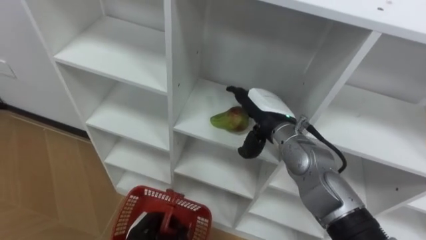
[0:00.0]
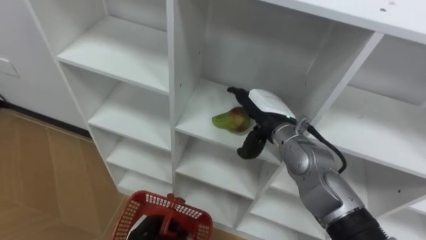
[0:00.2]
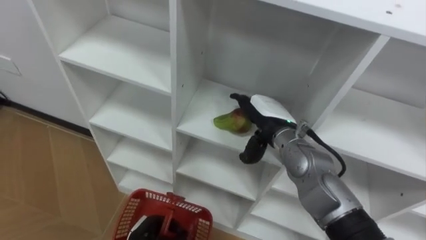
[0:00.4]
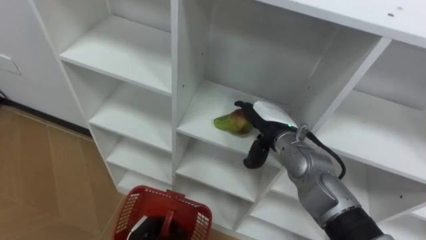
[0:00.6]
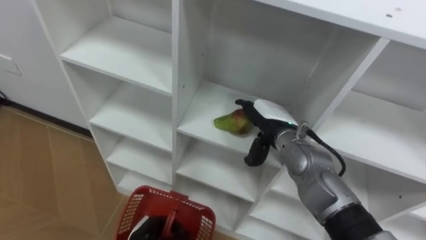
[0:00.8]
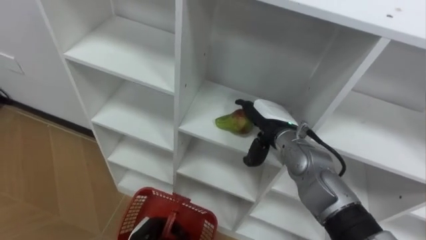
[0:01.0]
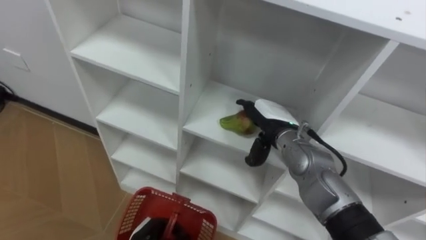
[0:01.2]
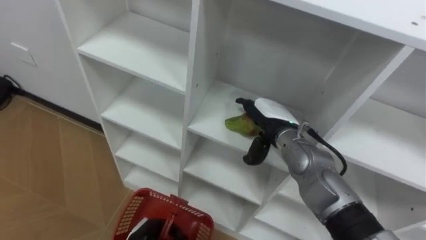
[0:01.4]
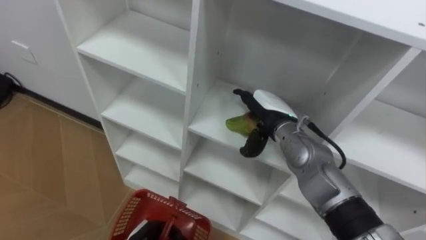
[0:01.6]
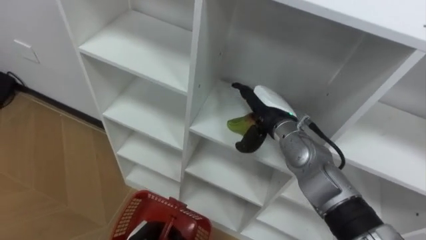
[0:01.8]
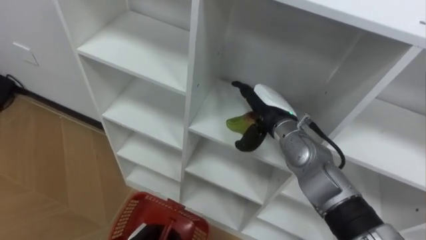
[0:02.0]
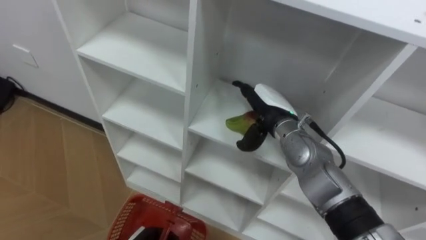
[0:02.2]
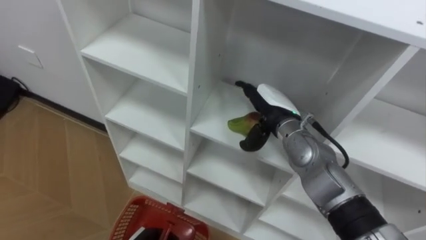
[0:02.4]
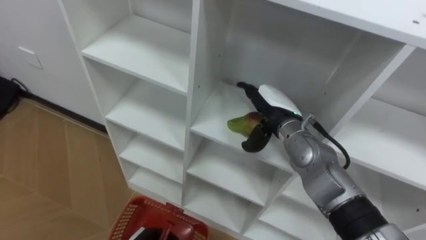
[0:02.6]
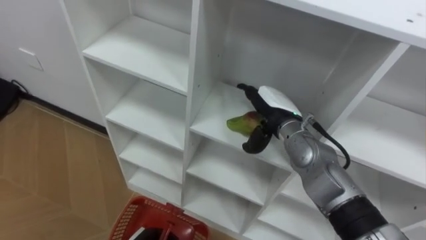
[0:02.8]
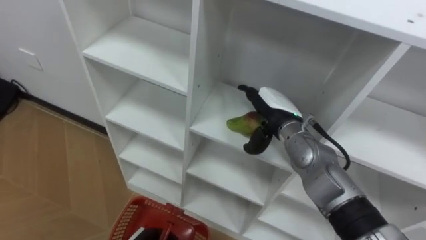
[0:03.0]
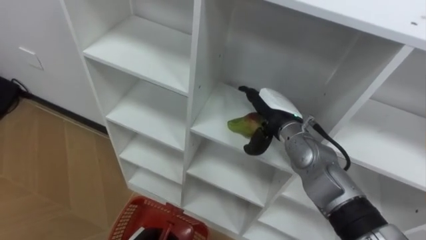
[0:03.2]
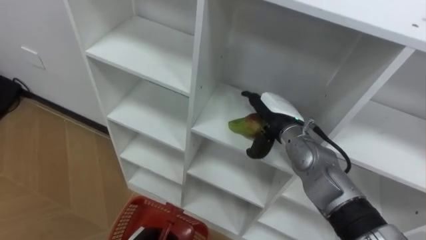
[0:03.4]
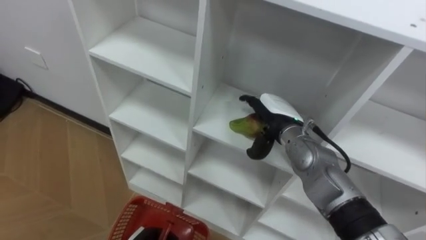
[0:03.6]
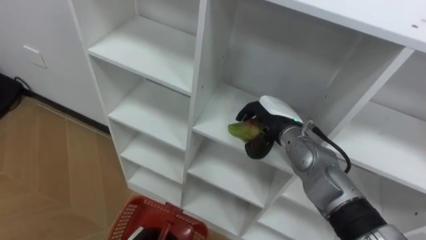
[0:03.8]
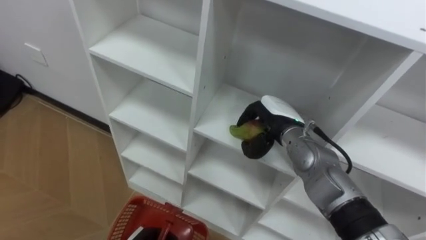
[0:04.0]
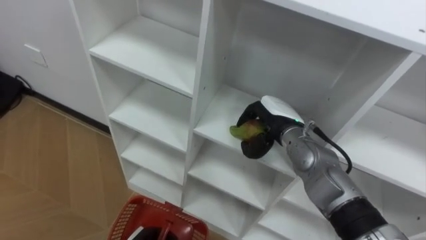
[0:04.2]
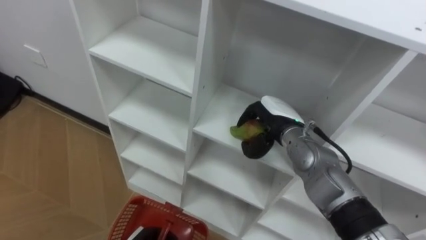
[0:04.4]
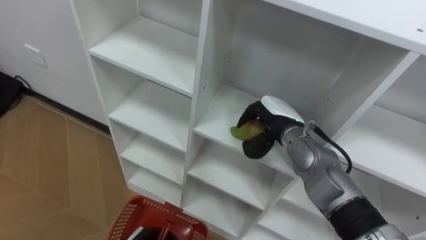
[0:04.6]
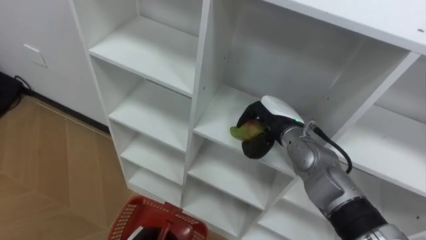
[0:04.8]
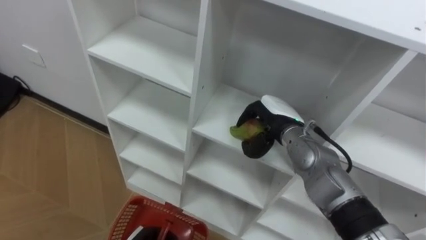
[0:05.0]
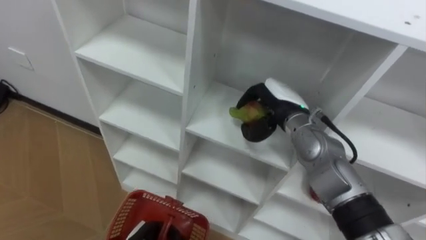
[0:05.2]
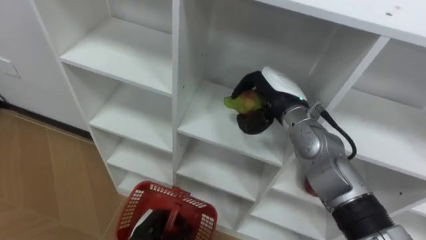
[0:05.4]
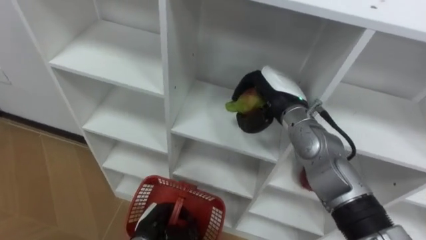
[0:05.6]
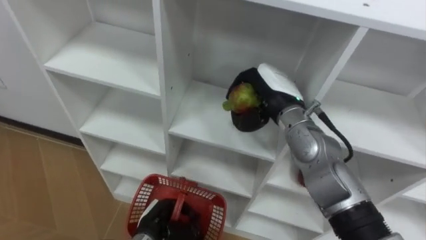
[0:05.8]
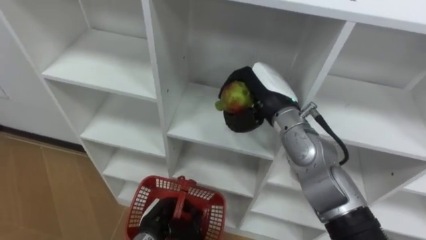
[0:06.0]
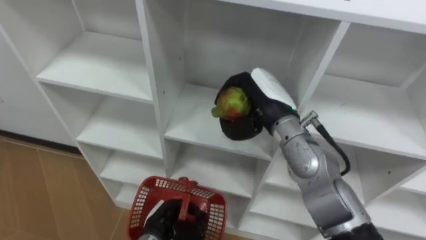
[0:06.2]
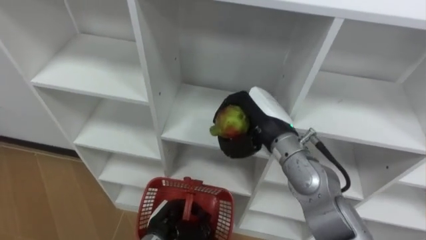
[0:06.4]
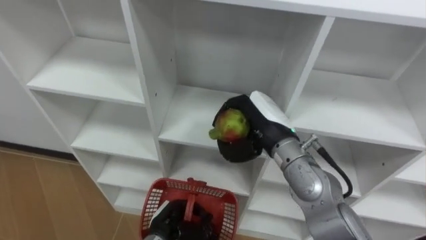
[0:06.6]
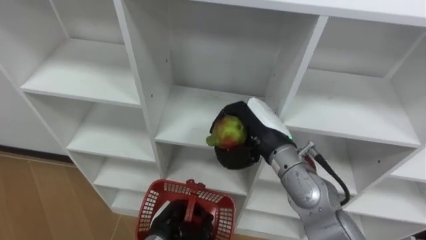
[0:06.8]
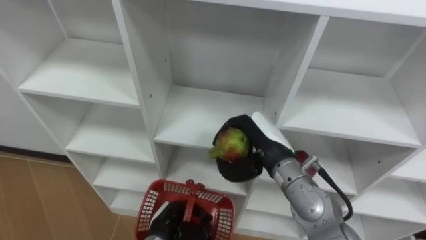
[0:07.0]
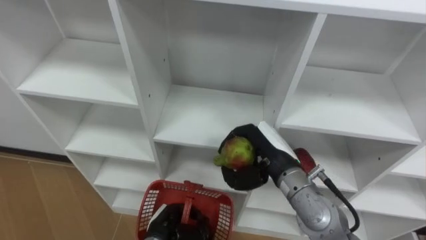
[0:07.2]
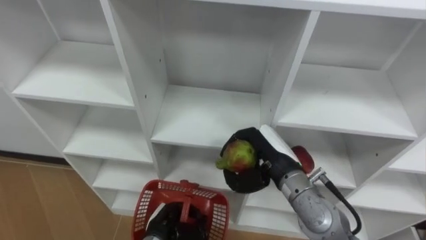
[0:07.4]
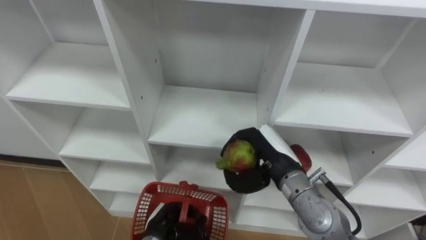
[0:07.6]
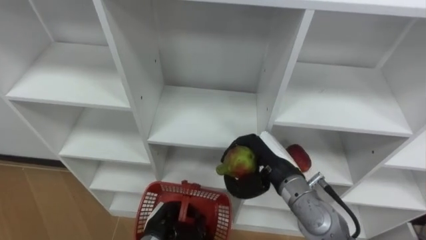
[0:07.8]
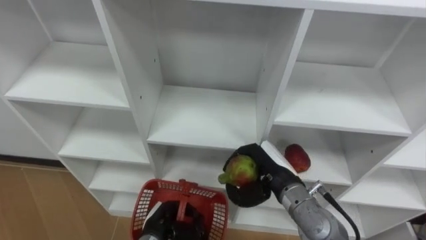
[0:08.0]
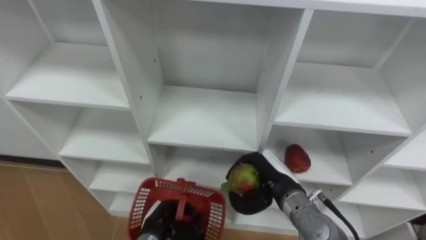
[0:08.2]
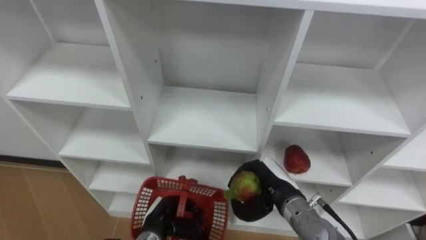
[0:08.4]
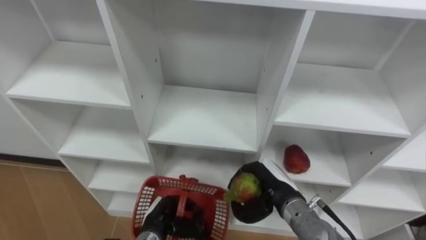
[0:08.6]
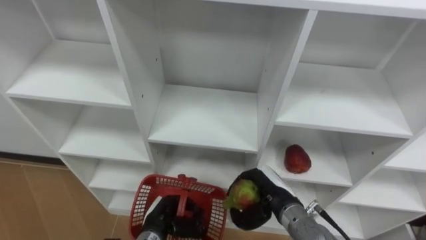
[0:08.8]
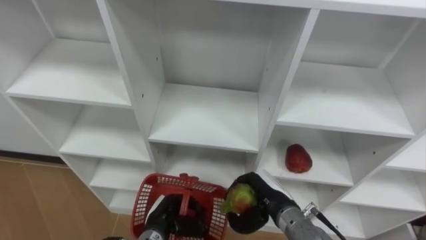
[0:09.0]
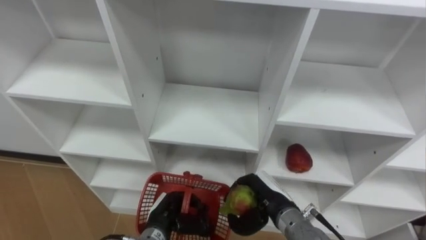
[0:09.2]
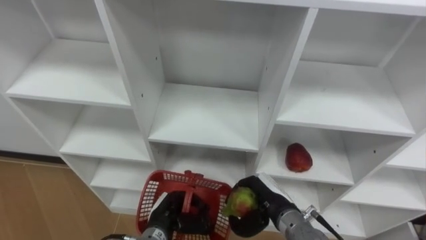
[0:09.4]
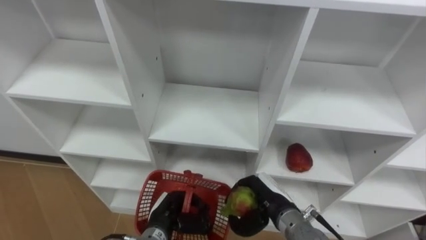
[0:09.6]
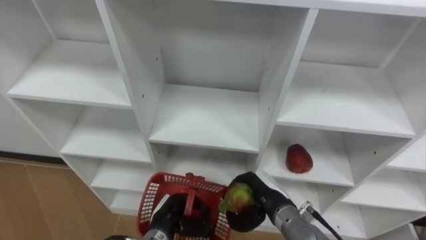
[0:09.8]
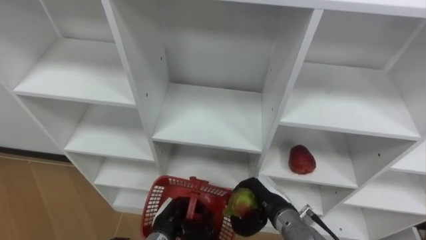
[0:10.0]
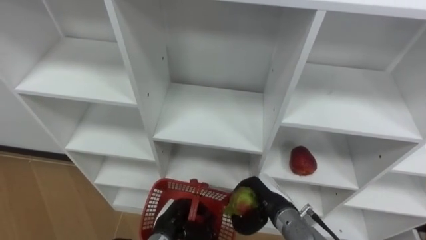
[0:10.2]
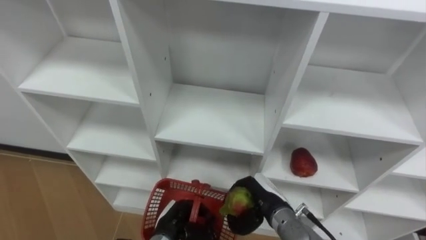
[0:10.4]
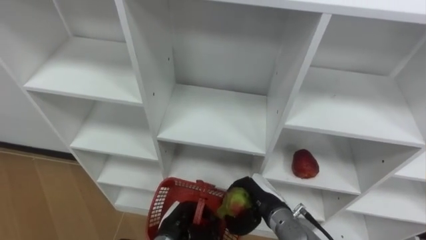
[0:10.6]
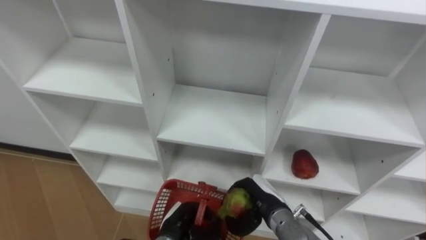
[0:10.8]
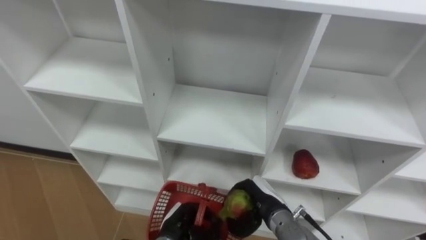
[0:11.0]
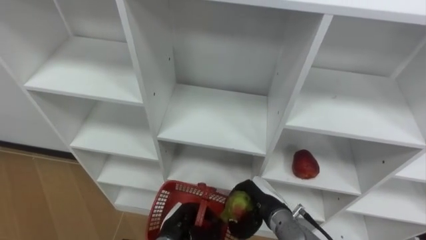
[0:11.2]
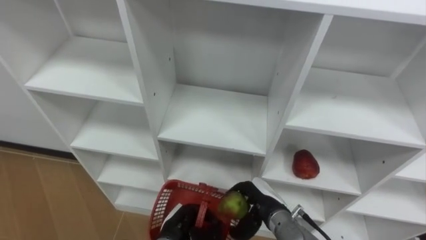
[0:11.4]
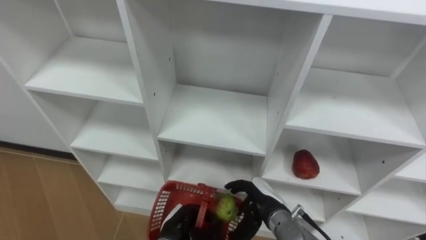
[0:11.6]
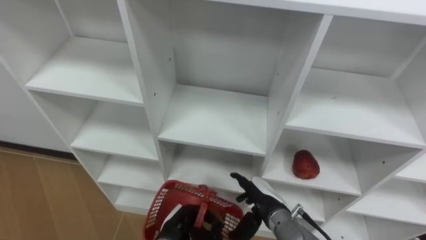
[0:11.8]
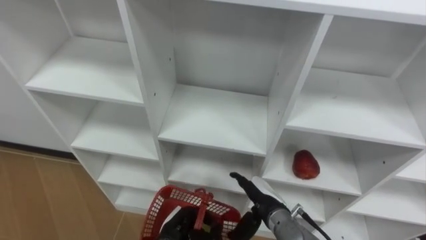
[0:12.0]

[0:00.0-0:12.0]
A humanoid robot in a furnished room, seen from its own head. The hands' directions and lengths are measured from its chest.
Task of the whole recording: Hold the basket and collect the fruits from 3 different cells of the closet into it.
3.0 to 4.4 s: The right hand closes up.
4.4 to 6.0 s: The right hand heads upward, covering roughly 10 cm.
6.0 to 7.6 s: The right hand goes roughly 10 cm backward and downward.
7.6 to 9.0 s: The right hand moves downward, about 10 cm.
9.0 to 10.4 s: The hands make only small movements.
10.4 to 12.0 s: The right hand opens.

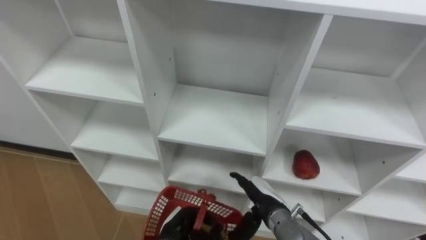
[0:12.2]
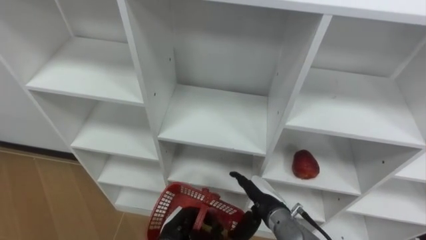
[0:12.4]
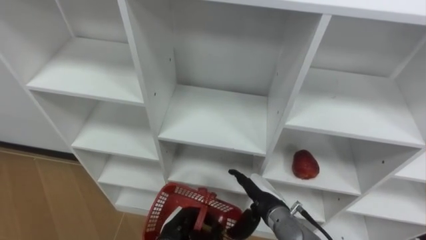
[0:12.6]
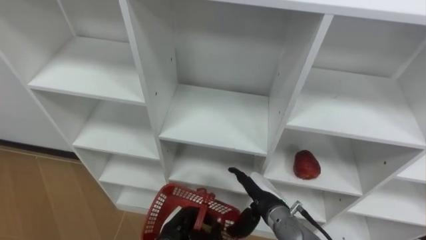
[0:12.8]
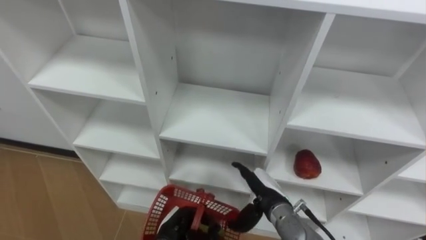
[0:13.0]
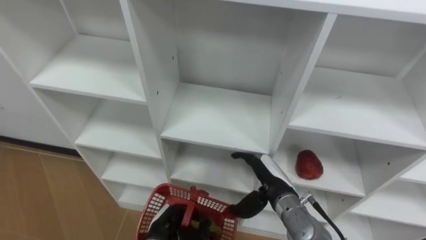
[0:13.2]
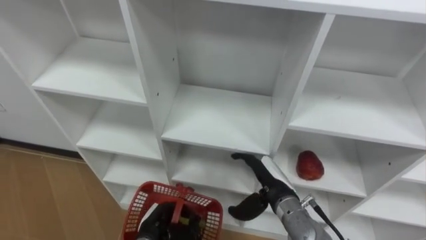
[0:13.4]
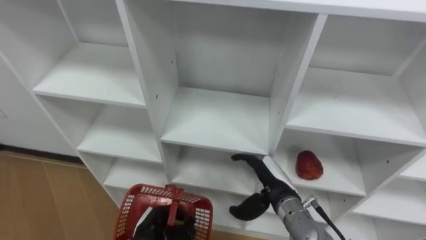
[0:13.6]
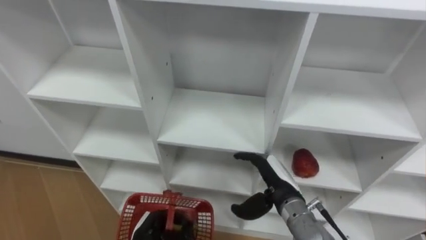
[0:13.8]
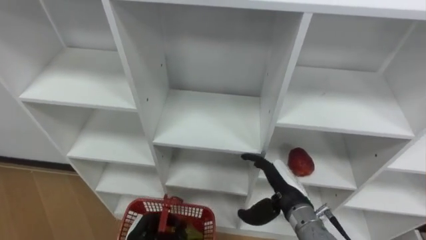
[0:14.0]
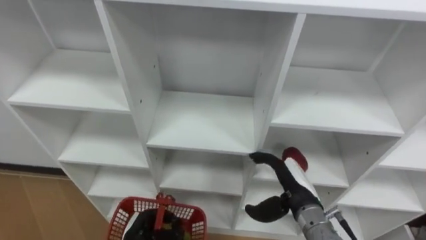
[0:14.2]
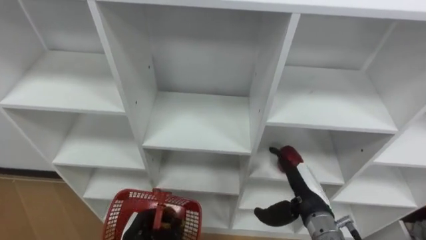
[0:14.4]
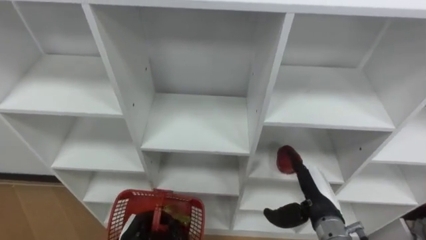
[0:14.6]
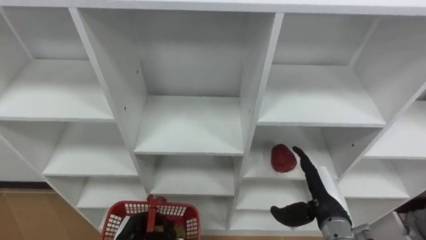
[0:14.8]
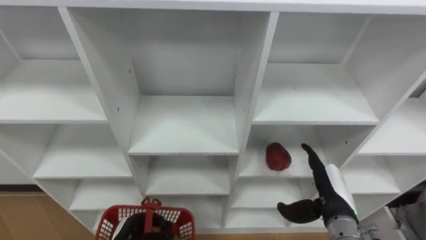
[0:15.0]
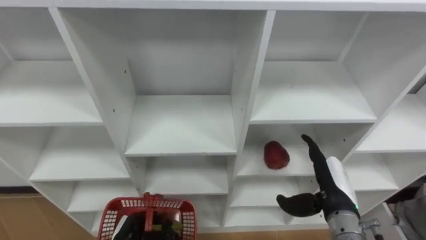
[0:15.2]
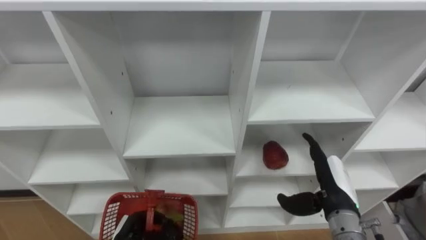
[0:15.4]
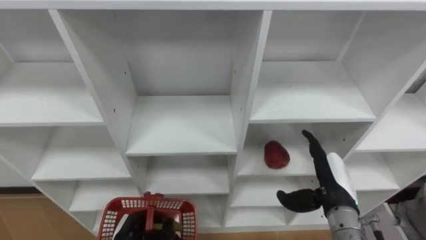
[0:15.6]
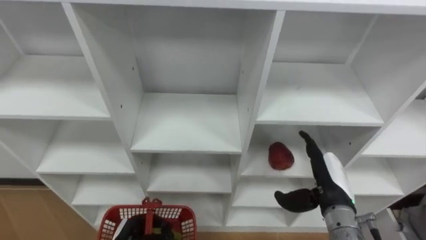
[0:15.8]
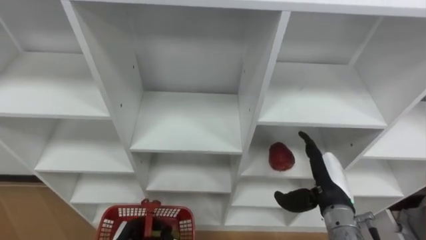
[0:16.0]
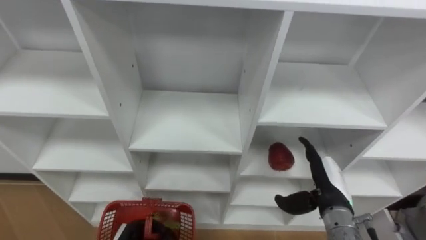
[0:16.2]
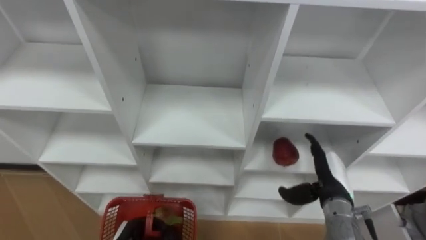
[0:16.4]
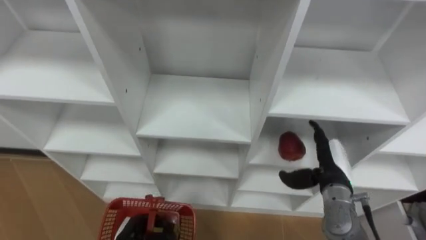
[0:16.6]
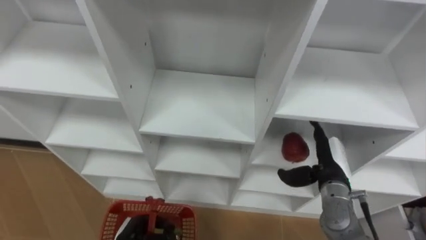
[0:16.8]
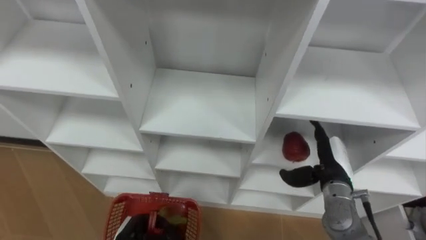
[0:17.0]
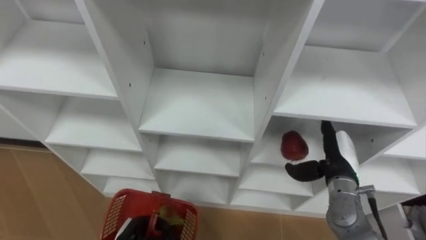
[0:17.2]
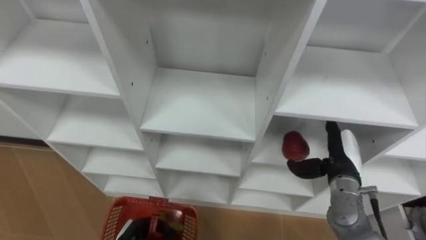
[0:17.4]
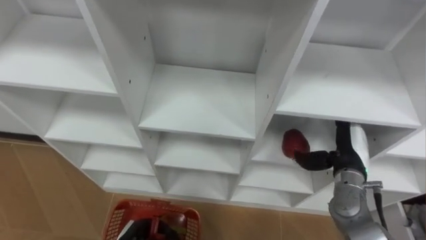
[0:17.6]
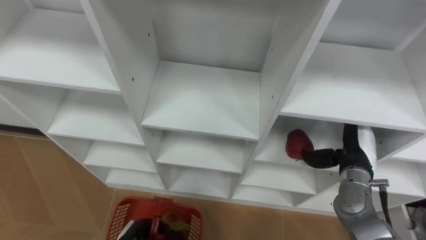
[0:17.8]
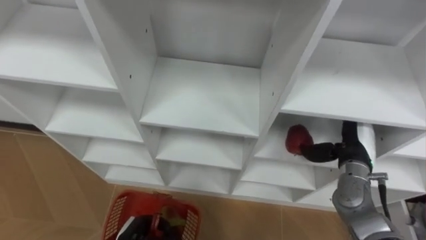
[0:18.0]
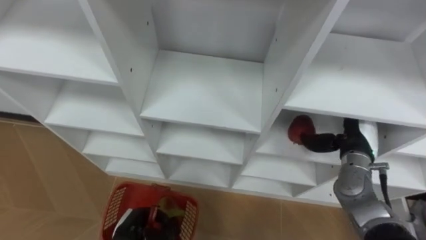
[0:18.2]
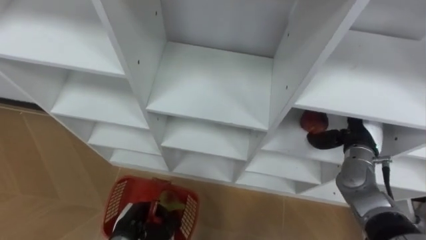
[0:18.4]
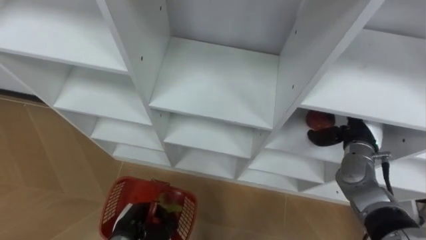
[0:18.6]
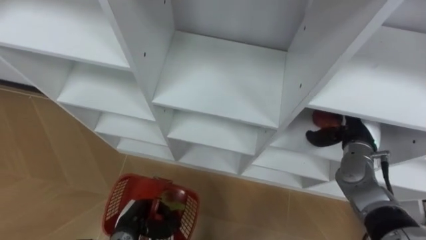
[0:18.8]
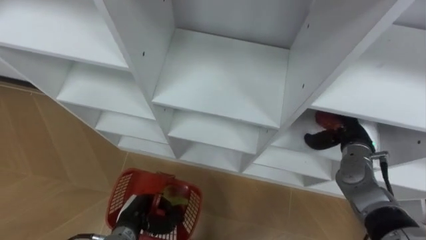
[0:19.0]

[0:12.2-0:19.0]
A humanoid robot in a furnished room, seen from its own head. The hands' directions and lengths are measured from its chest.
Task of the whole recording: Hold the basket and collect the fruits from 3 different cells of the closet into it.
12.2 to 13.6 s: The left hand shifts some 5 cm to the left.
13.6 to 15.0 s: The right hand heads to the right, covering roughly 10 cm; the left hand shifts by some 5 cm.
16.2 to 17.6 s: The right hand heads forward, covering about 5 cm.
17.6 to 19.0 s: The right hand moves about 5 cm.
